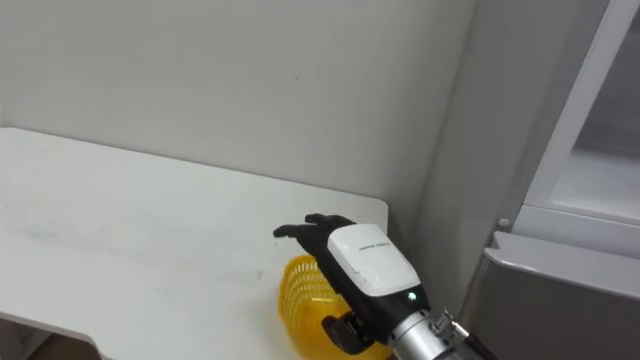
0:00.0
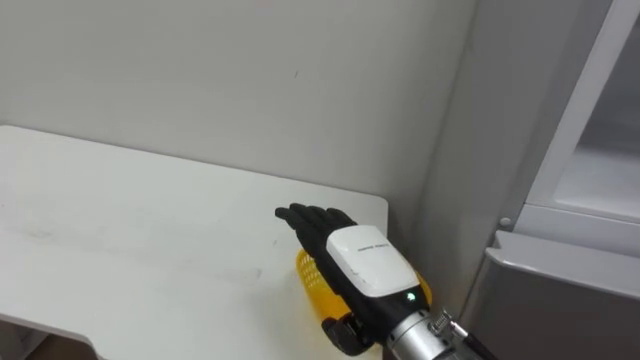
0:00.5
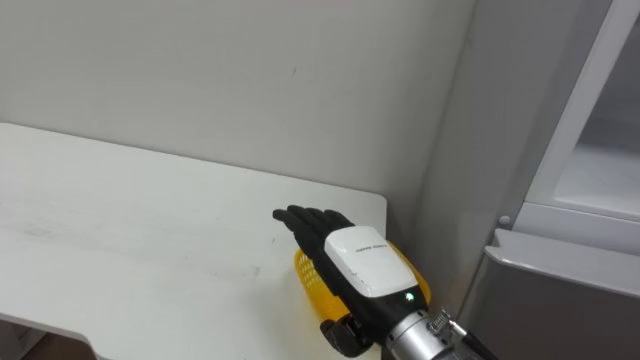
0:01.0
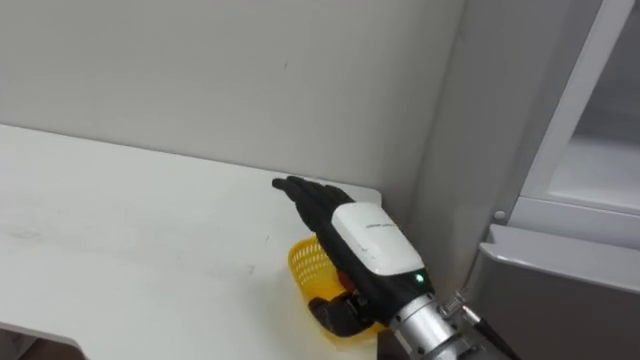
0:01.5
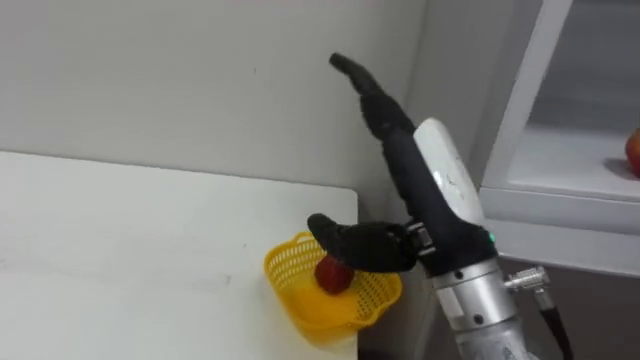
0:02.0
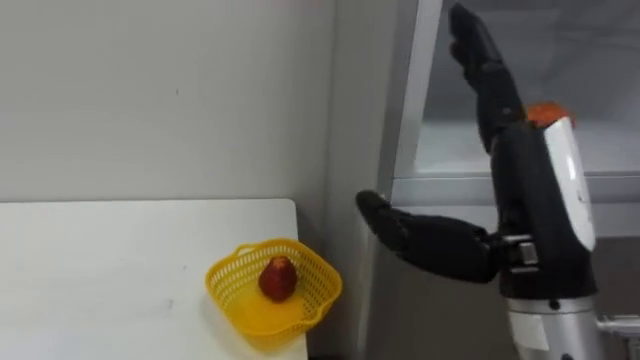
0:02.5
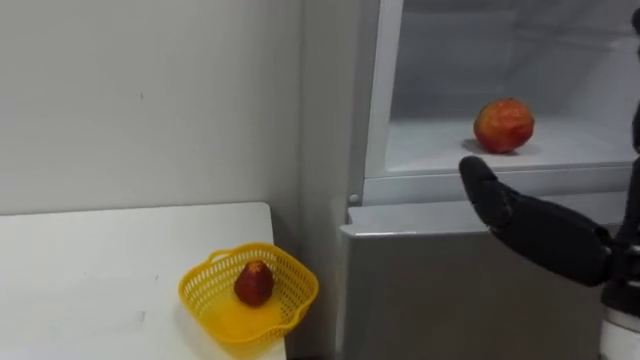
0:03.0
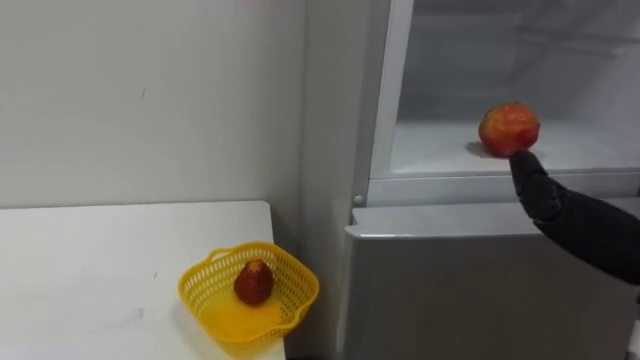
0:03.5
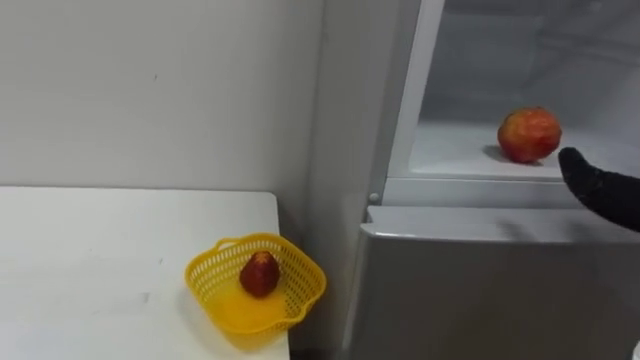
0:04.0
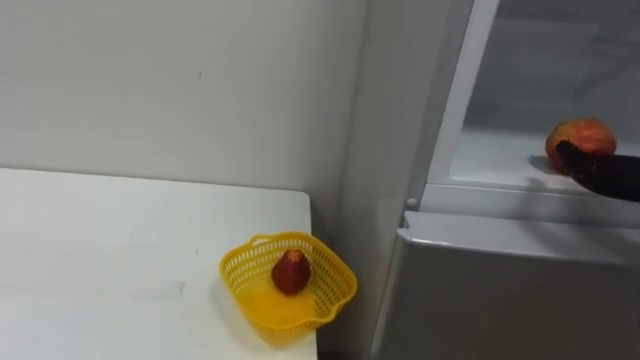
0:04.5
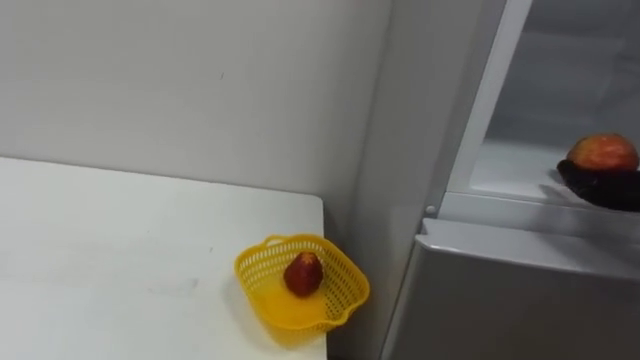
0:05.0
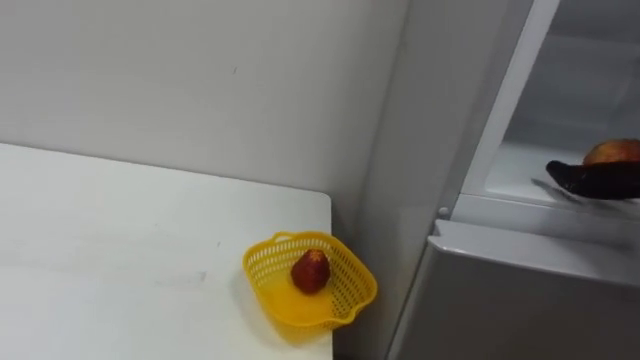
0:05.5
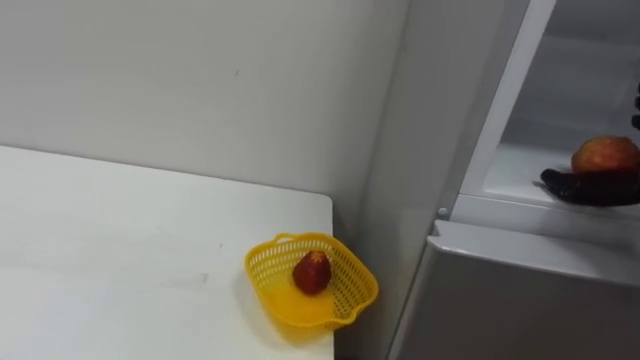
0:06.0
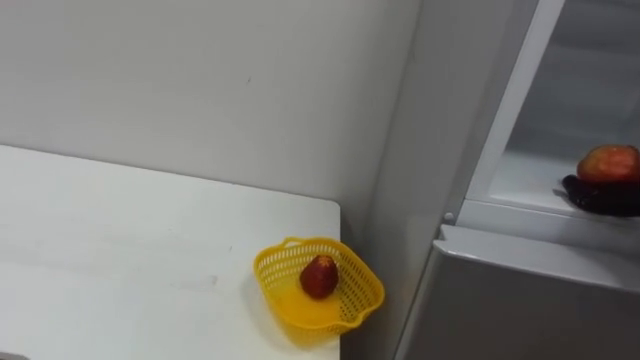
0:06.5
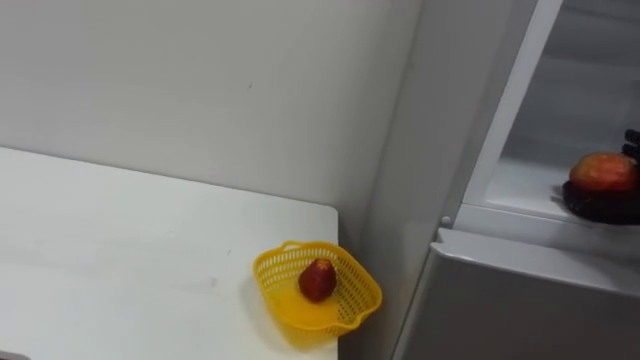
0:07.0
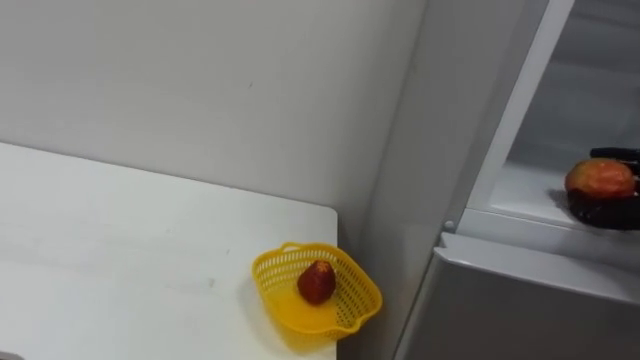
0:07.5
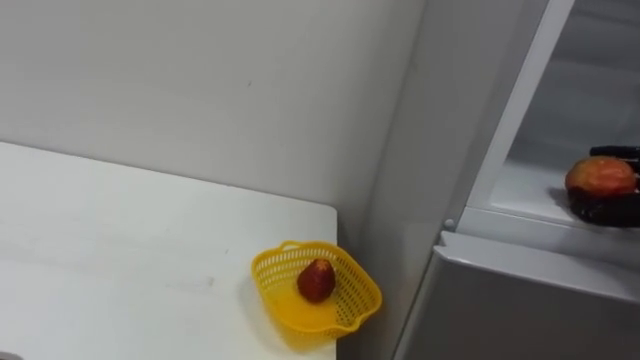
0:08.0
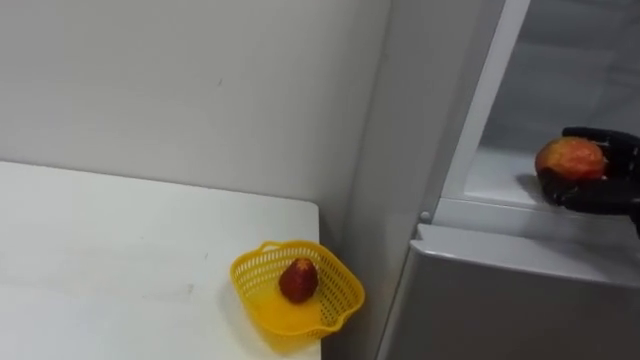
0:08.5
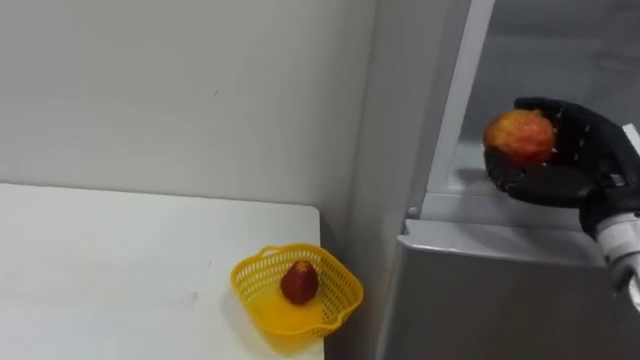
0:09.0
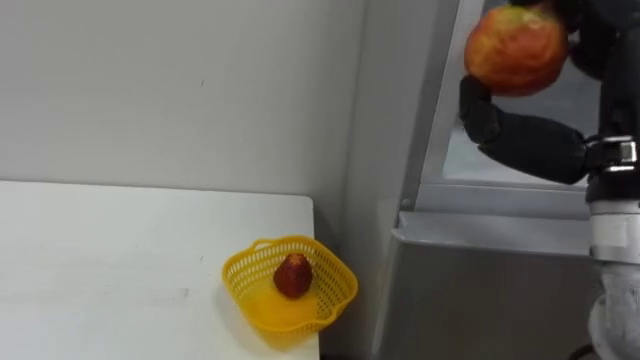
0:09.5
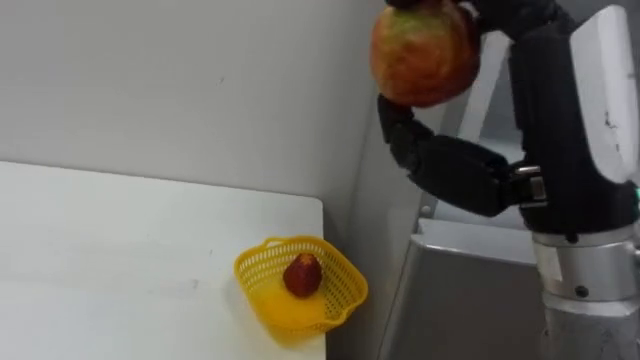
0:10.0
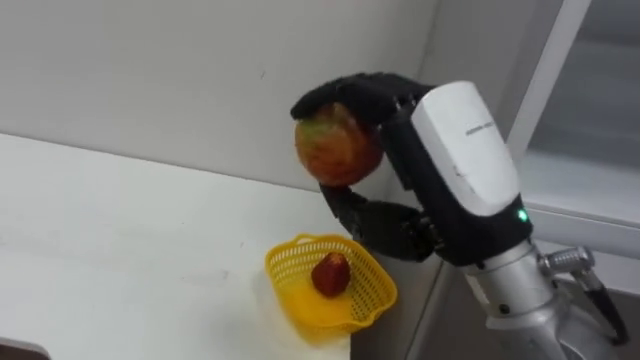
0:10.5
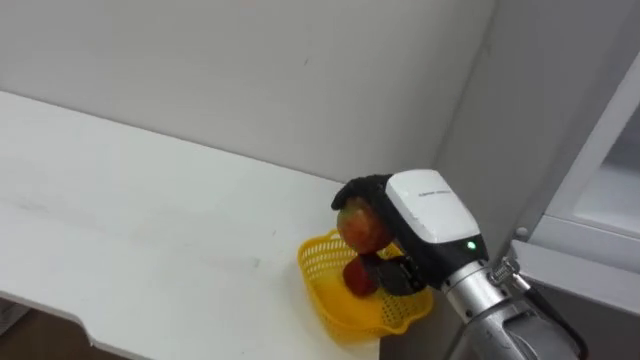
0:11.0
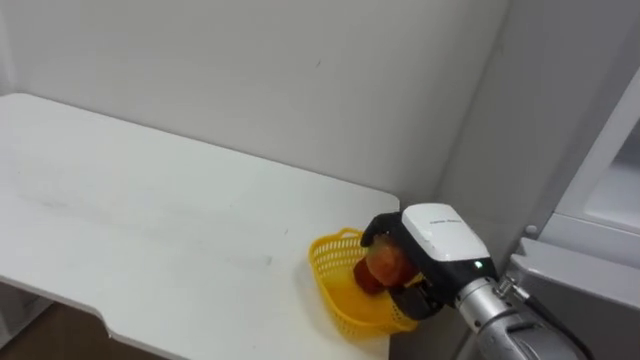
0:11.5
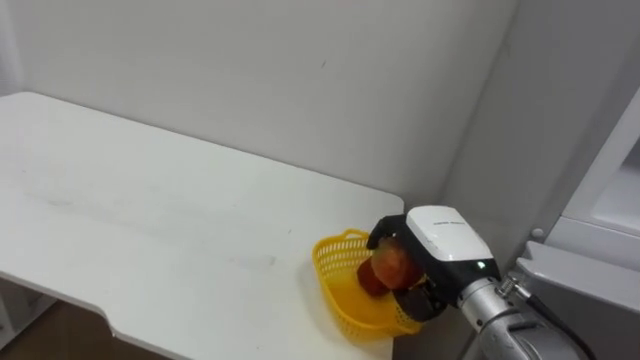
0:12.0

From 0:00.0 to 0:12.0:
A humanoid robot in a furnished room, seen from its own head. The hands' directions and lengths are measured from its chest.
Task of the whole recording: Open the refrigerator door, take out the apple and the pomegranate, place them in the fruit basket on the left, and close the refrigerator door.
From 0:00.0 to 0:02.0: The right hand goes approximately 10 cm upward.
From 0:10.0 to 0:12.0: The right hand shifts roughly 25 cm downward and forward.

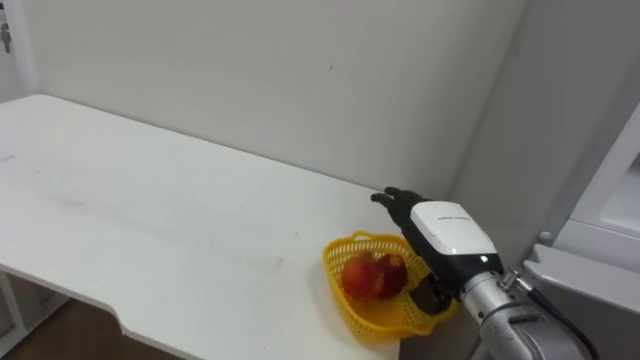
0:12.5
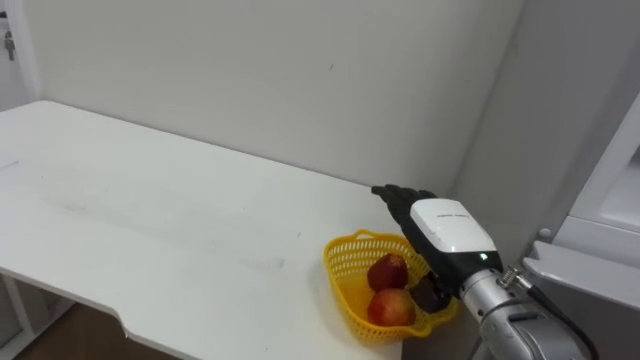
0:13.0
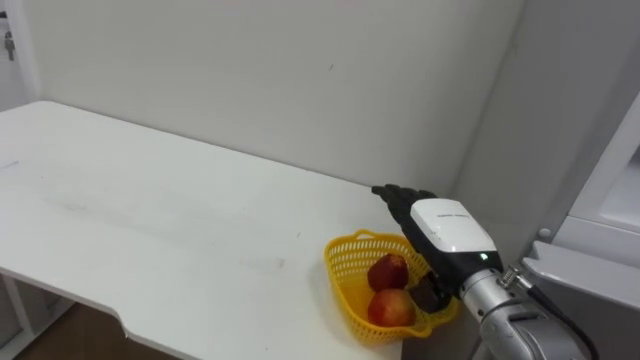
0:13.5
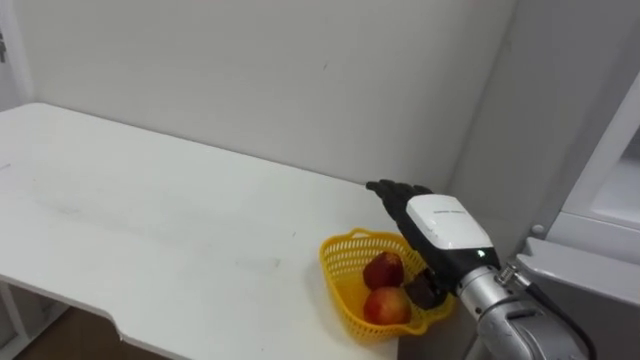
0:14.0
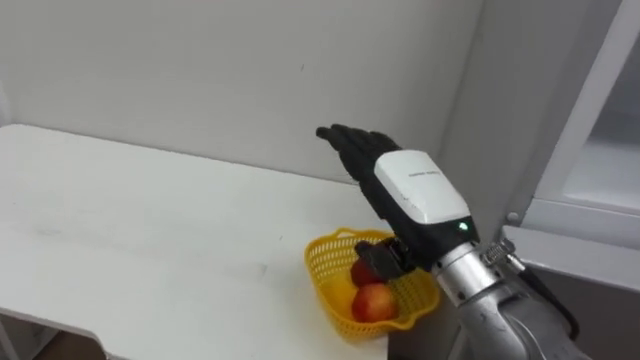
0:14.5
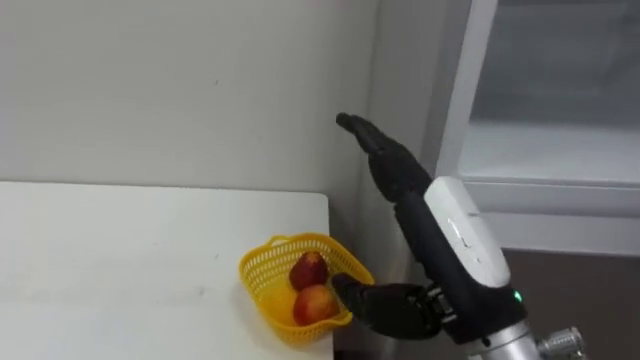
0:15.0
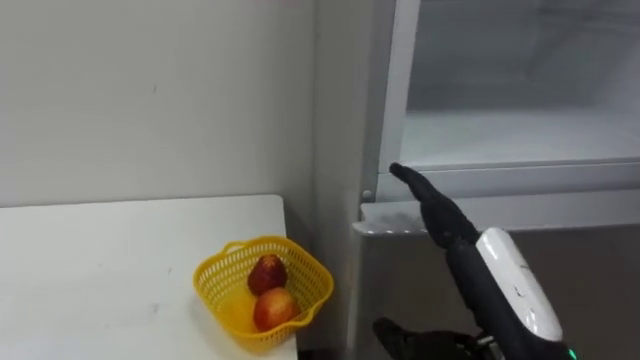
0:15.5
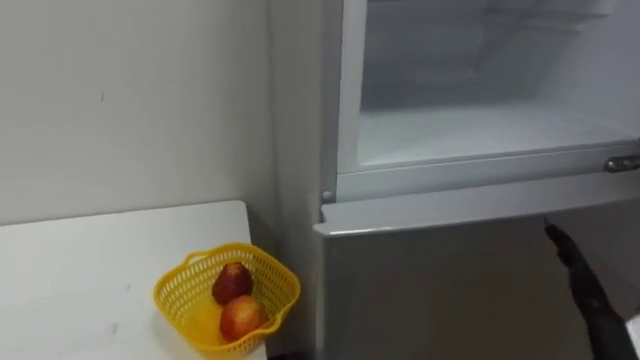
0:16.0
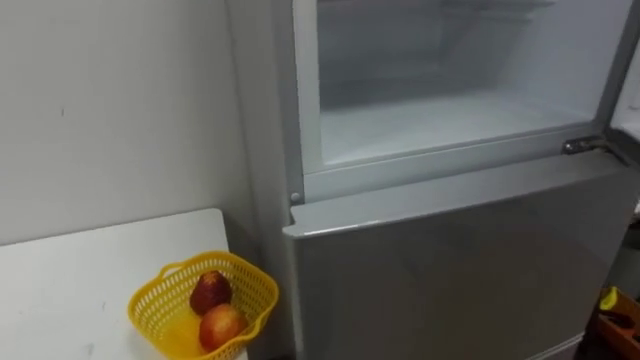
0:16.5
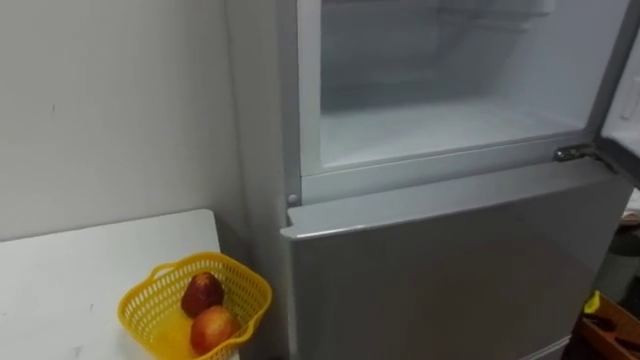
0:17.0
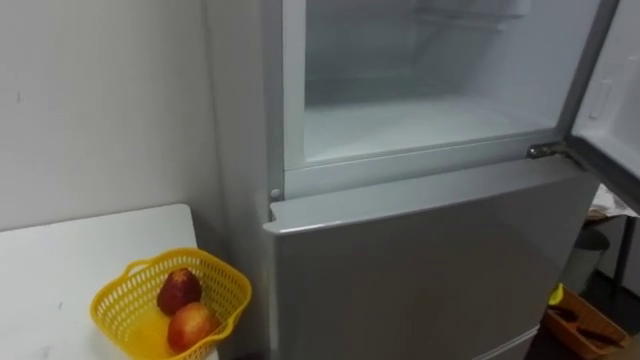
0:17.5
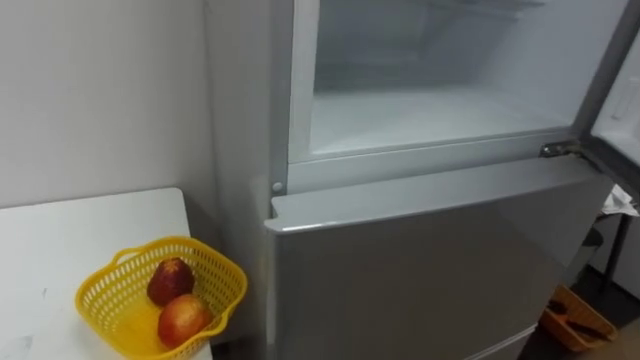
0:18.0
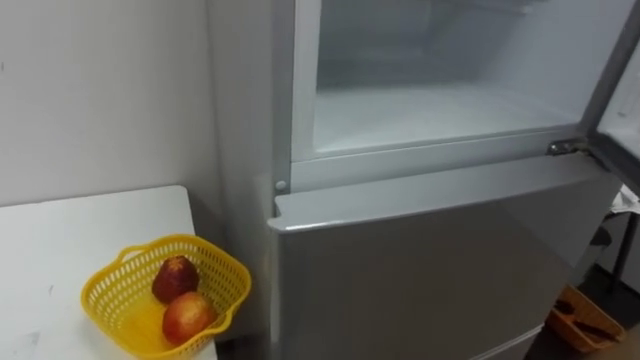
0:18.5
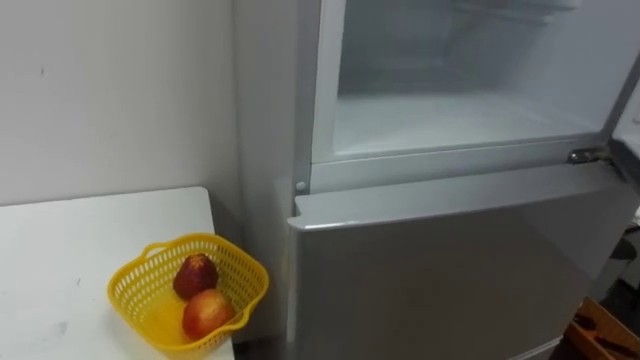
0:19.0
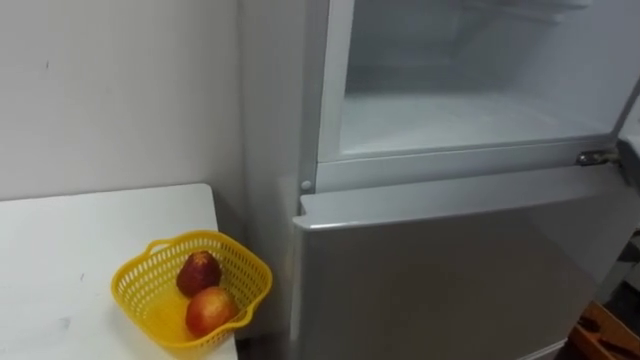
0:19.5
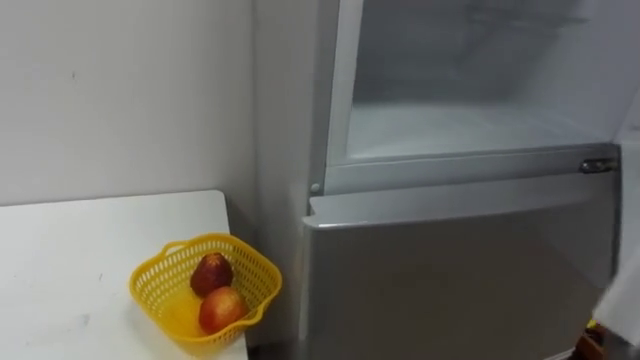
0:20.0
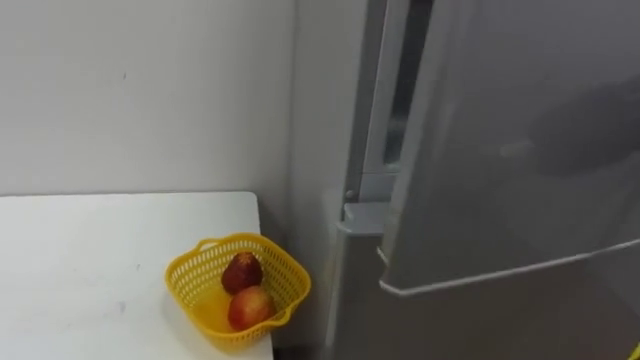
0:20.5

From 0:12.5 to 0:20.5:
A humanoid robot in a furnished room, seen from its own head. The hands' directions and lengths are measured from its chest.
Task of the whole recording: Open the refrigerator door, take out the apple and the pomegranate, place them in the fruit basket on the left, and close the refrigerator door.
From 0:12.5 to 0:14.5: The right hand goes some 10 cm upward and to the left.
